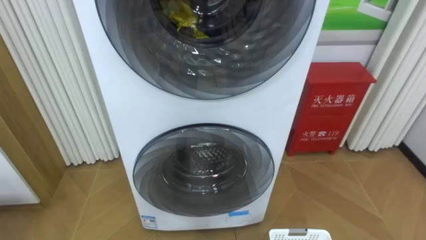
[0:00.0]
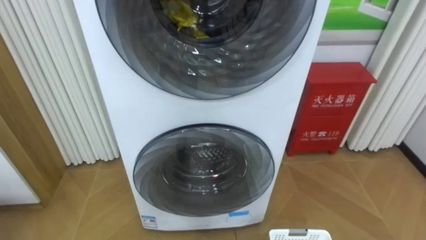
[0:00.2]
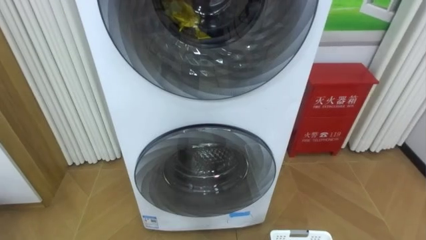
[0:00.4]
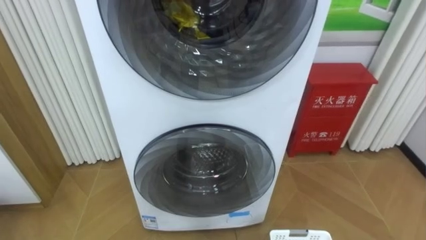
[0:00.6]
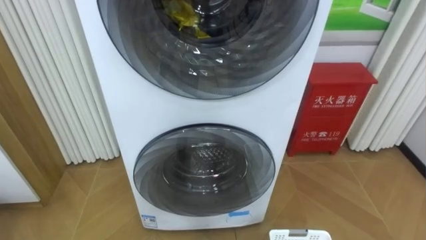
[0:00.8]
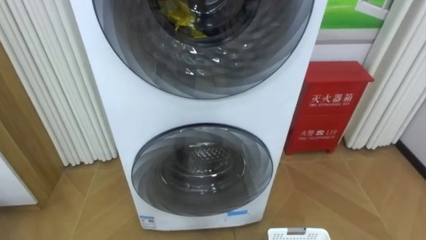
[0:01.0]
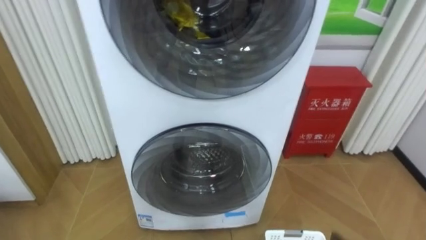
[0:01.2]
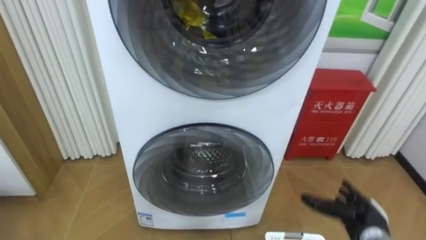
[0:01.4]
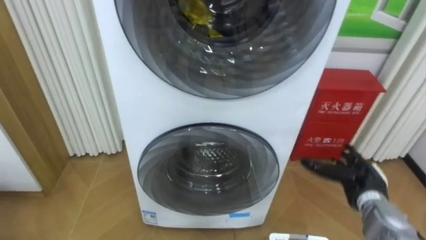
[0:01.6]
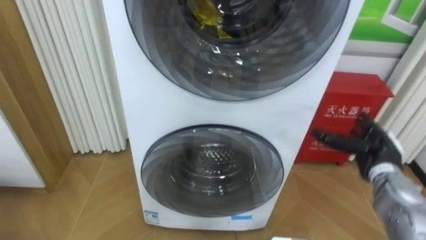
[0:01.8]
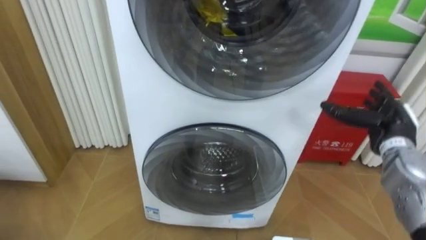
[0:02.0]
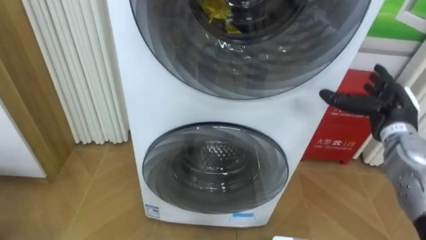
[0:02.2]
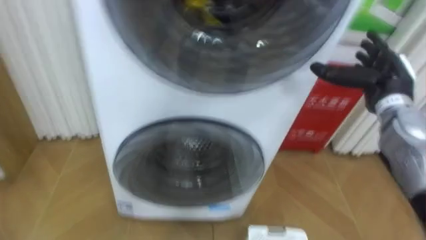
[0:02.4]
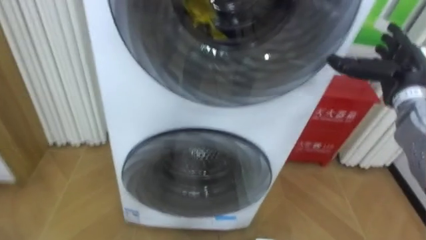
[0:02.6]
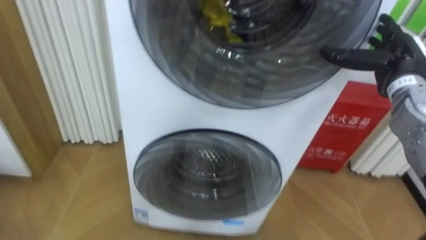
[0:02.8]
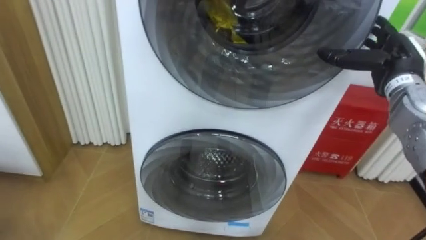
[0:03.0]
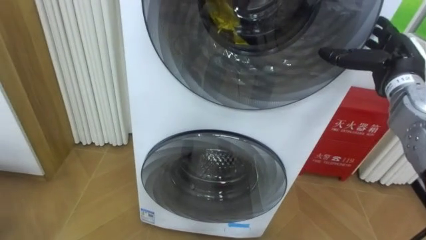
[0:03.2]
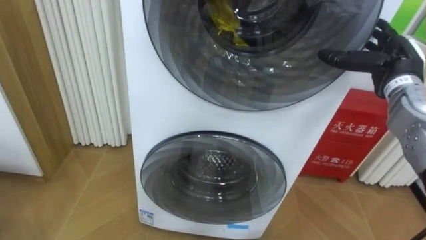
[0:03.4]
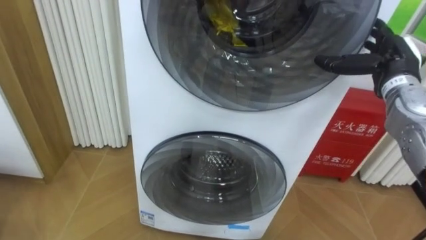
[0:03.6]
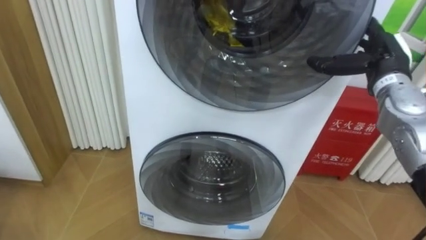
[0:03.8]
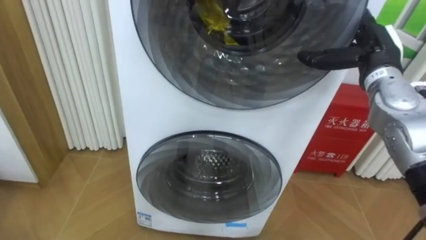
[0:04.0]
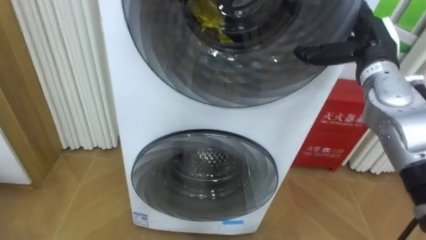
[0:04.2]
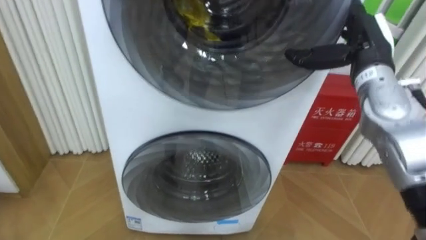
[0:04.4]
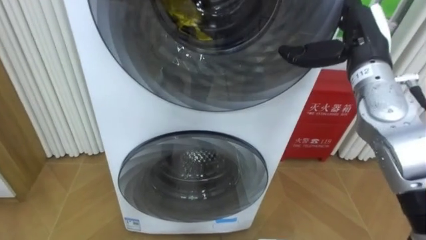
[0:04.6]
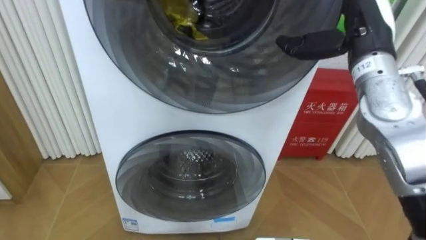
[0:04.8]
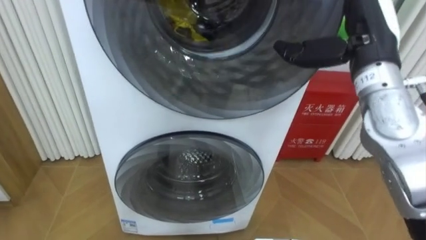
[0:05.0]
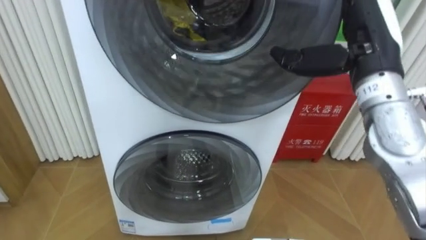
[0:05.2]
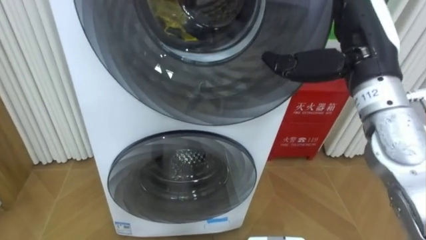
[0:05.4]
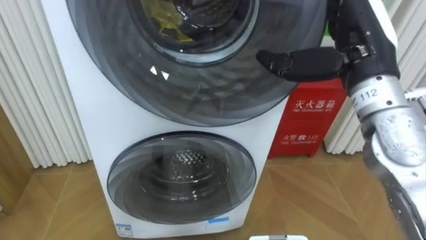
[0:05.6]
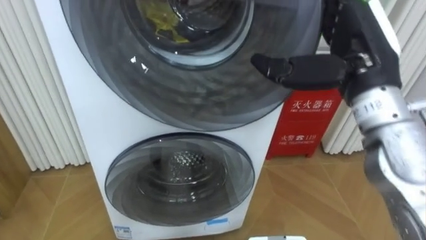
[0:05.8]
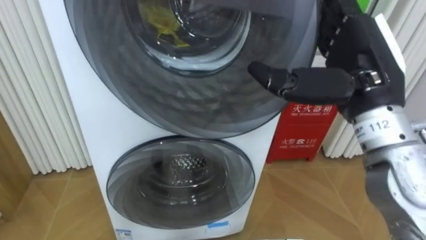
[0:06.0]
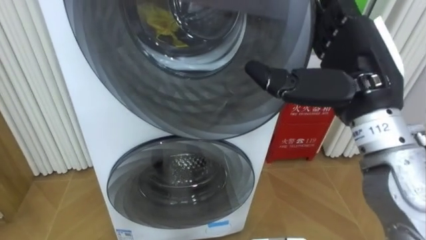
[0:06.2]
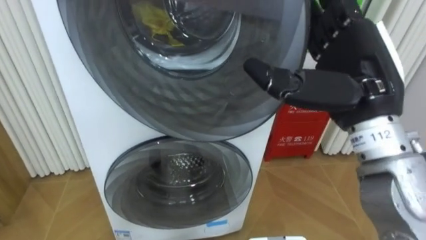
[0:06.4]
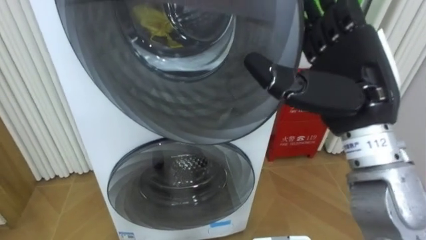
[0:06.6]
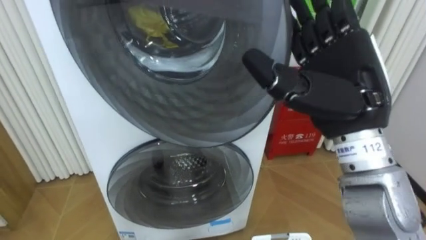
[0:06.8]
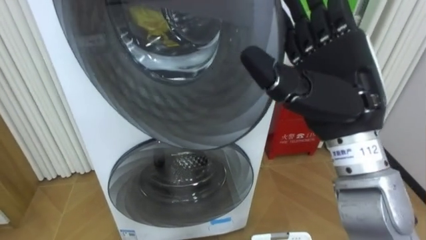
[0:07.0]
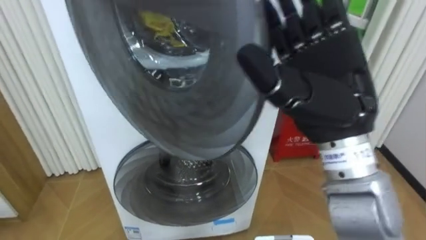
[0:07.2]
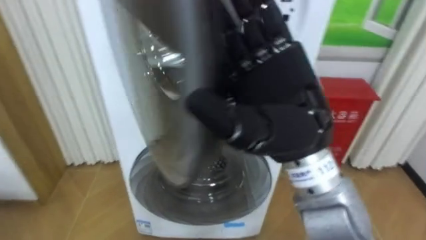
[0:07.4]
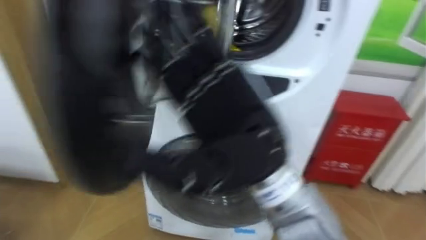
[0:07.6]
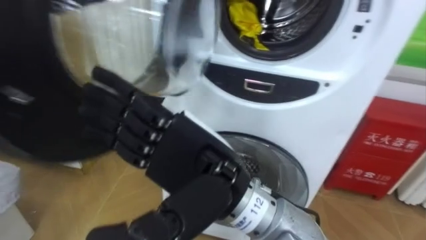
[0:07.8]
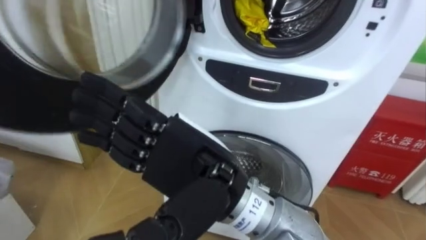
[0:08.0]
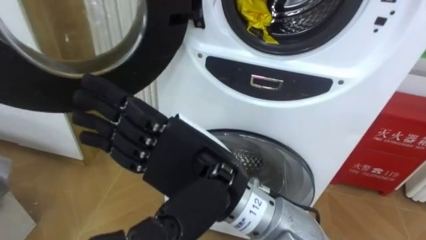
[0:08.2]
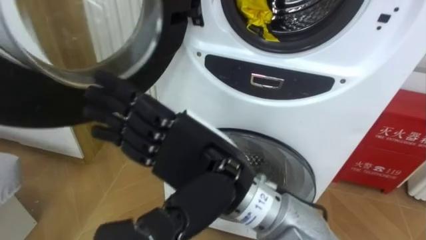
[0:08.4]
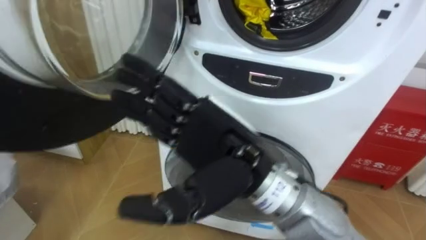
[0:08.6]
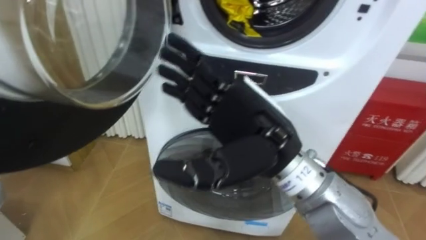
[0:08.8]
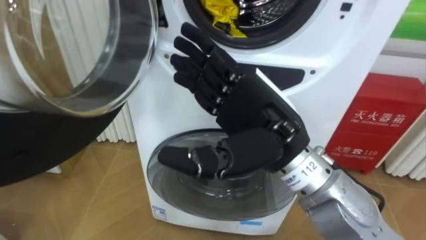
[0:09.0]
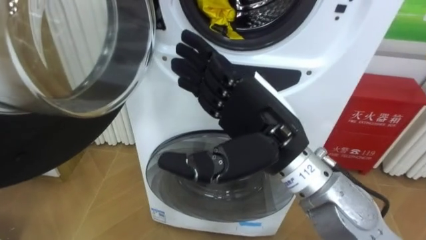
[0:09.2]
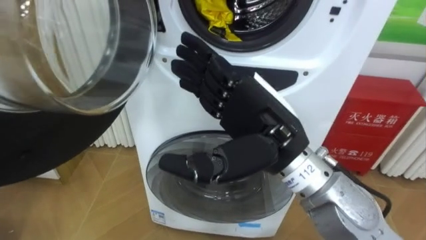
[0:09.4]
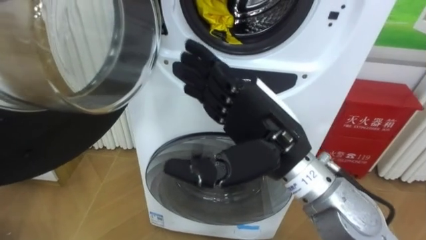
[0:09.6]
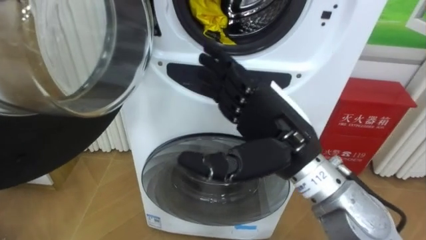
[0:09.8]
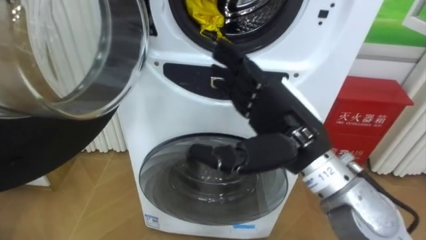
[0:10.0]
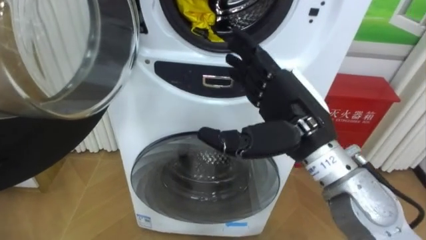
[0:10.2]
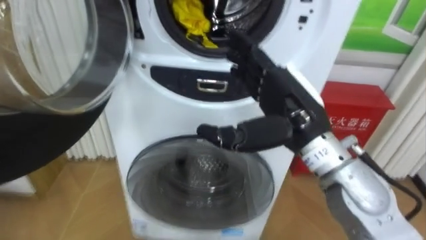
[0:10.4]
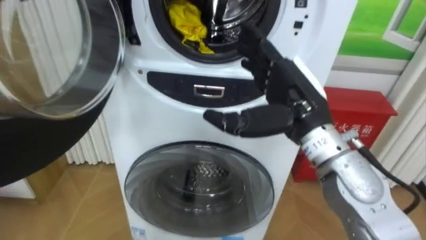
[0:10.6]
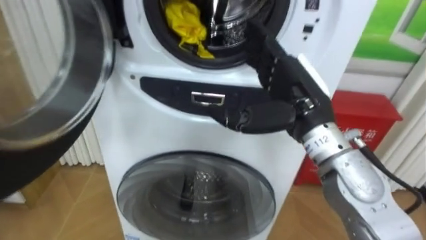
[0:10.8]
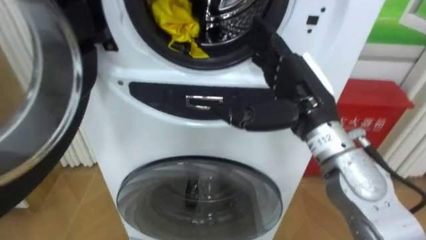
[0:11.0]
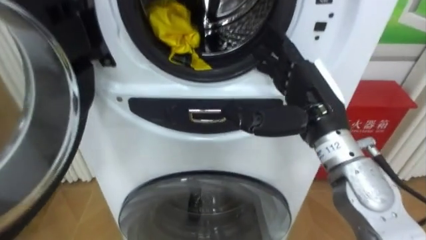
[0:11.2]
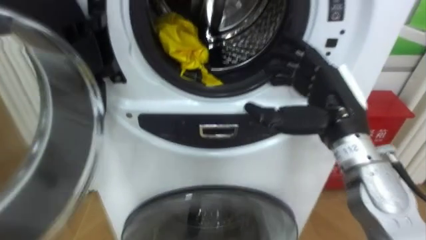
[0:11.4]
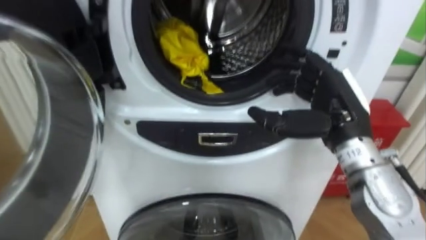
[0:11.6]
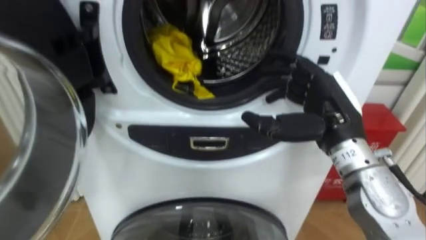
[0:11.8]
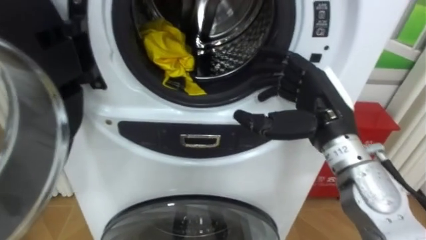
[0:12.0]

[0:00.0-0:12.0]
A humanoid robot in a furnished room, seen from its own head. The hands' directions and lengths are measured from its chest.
Task of the whole recording: Open the washing machine door, take out the yellow clothes, place them in the box on the right, and close the washing machine door.
0:01.6 to 0:03.0: The right hand is displaced upward and forward by some 25 cm.
0:03.0 to 0:04.4: The right hand moves to the left, some 5 cm.
0:04.4 to 0:06.0: The right hand goes roughly 15 cm backward and to the left.
0:06.0 to 0:07.6: The right hand heads to the left and backward, covering about 15 cm.
0:07.6 to 0:09.0: The right hand travels to the left and back again, approximately 5 cm each way.
0:09.0 to 0:10.4: The right hand moves roughly 5 cm.
0:10.4 to 0:12.0: The right hand shifts some 5 cm to the right.

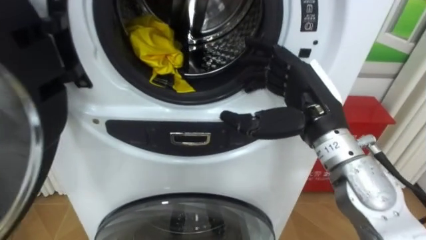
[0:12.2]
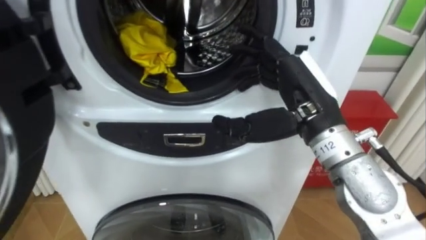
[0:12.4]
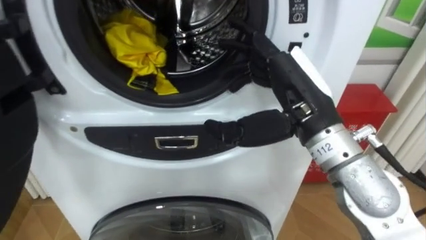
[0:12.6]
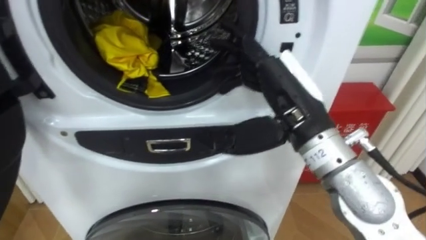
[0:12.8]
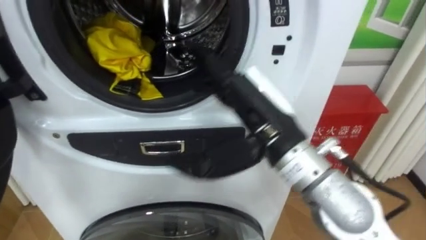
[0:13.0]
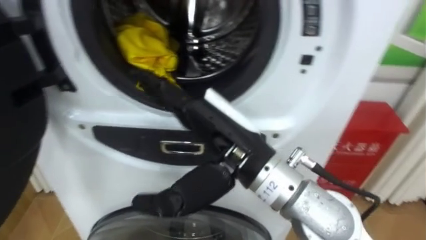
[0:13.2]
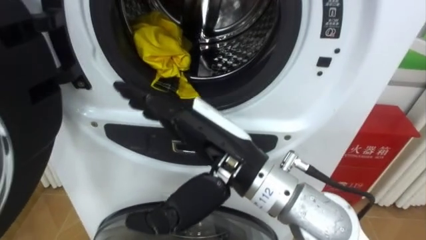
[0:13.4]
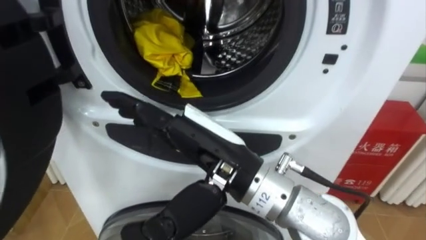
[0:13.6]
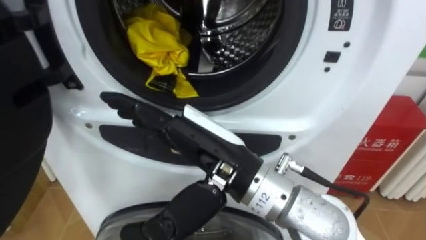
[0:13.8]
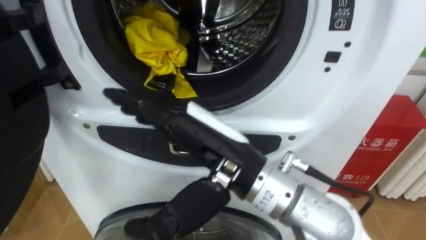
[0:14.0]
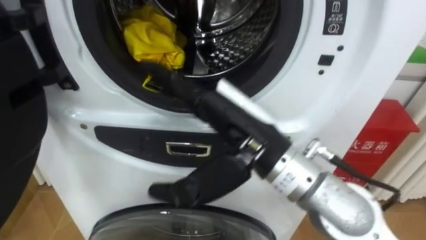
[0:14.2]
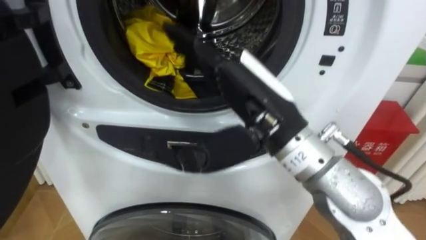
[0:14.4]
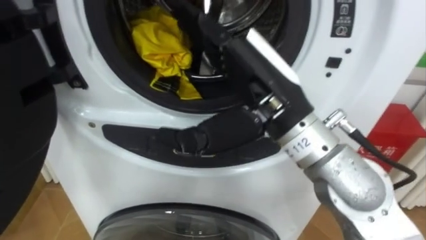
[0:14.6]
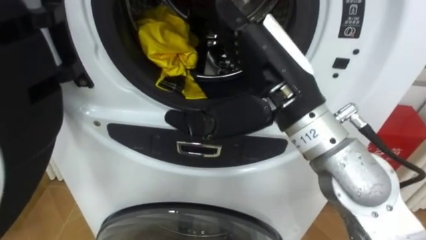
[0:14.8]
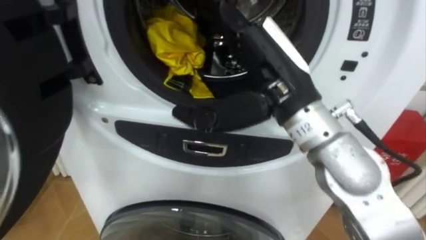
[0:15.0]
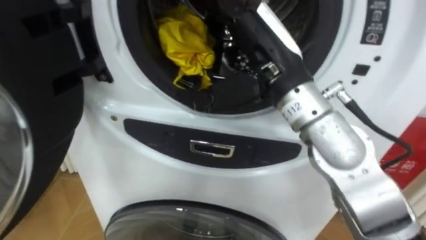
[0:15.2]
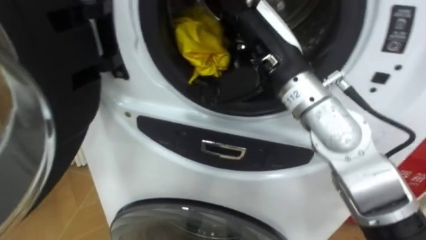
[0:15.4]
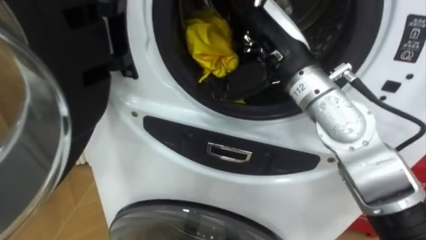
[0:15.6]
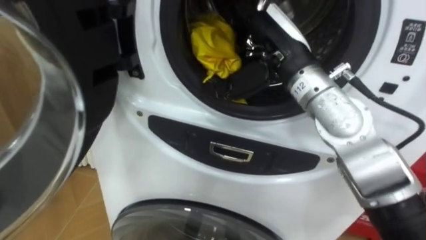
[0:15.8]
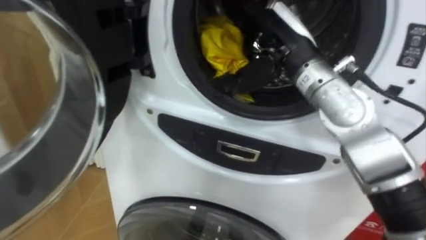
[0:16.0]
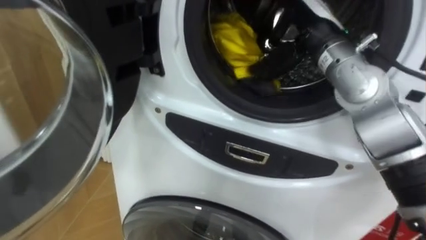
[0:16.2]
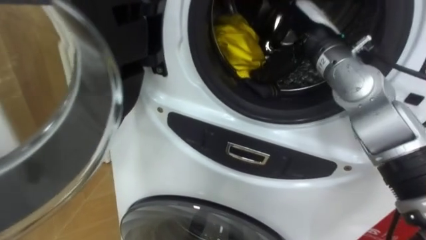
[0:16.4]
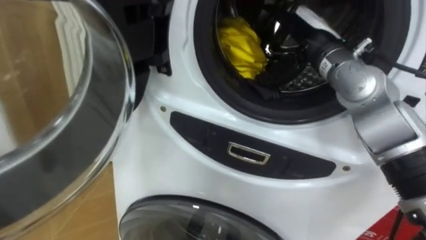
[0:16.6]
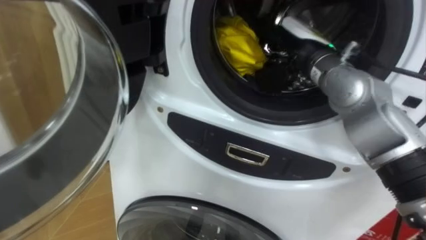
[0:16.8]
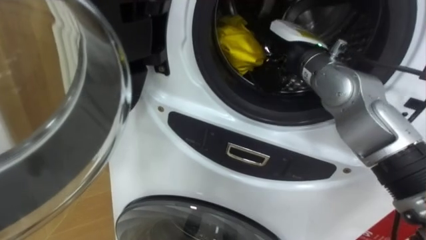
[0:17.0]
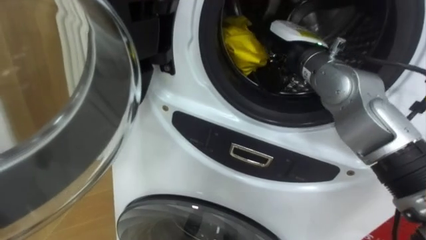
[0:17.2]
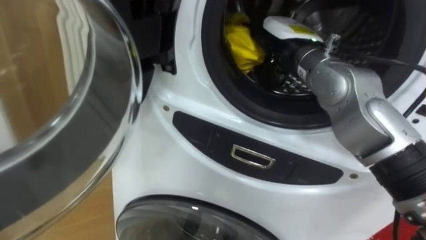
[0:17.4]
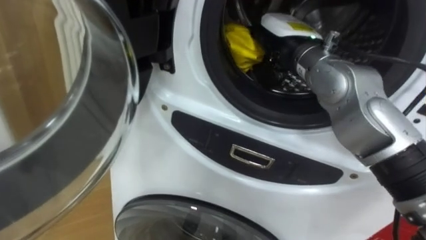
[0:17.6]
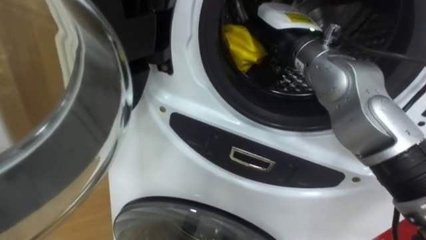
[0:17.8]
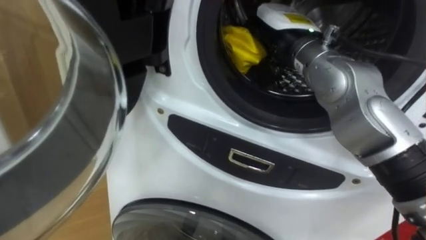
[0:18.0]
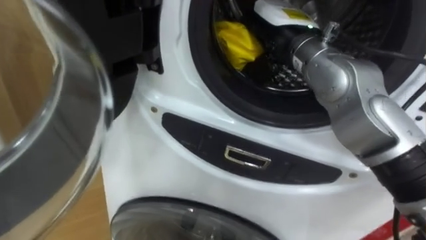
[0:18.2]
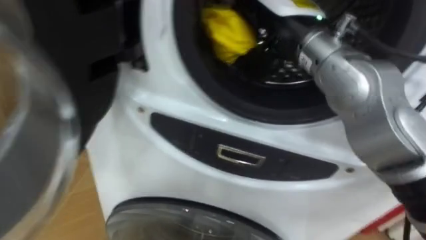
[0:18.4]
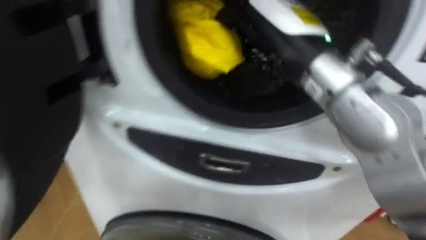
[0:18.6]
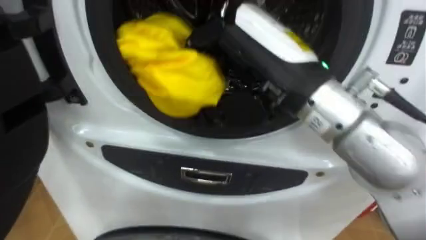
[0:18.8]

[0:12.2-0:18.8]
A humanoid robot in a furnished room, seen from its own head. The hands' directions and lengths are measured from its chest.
Task of the whole recording: Open the washing machine door, take out the yellow clothes, place them in the box on the right, and close the washing machine door.
0:12.2 to 0:13.8: The right hand travels to the left and backward by some 15 cm.
0:13.8 to 0:15.4: The right hand heads forward, to the right and upward, covering some 15 cm.
0:15.4 to 0:17.2: The right hand is displaced forward by some 10 cm.
0:17.2 to 0:18.8: The right hand heads backward and upward, covering roughly 15 cm, and closes its fingers.
